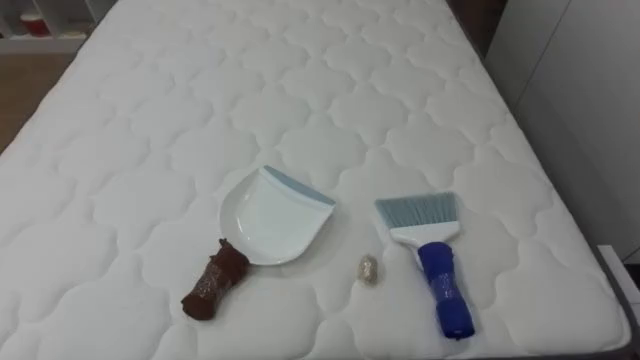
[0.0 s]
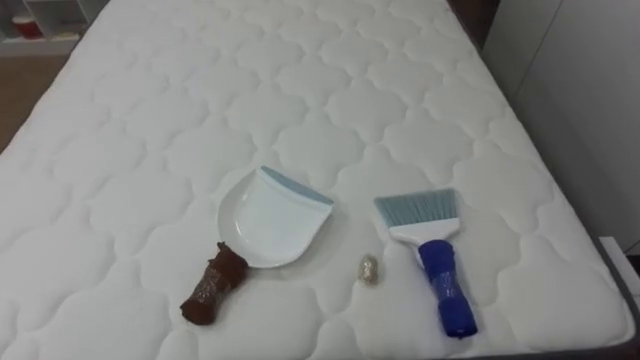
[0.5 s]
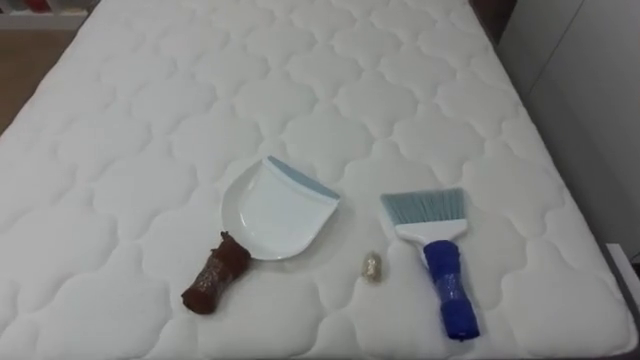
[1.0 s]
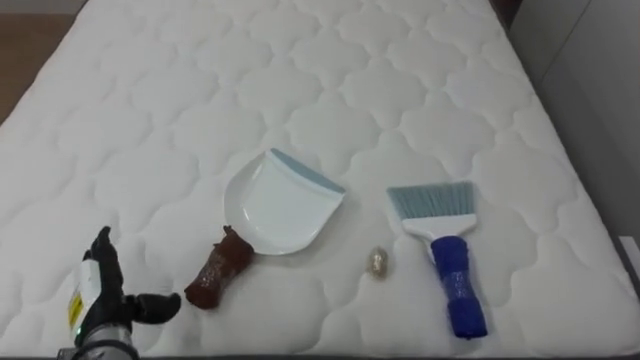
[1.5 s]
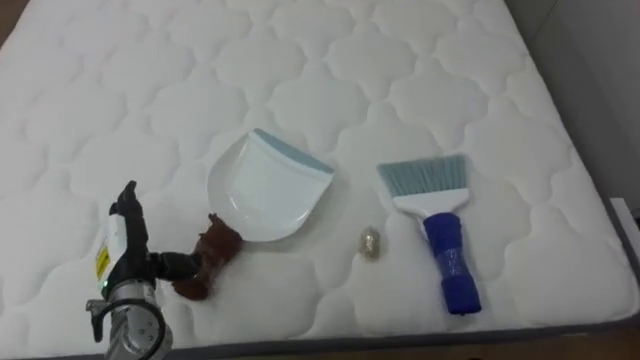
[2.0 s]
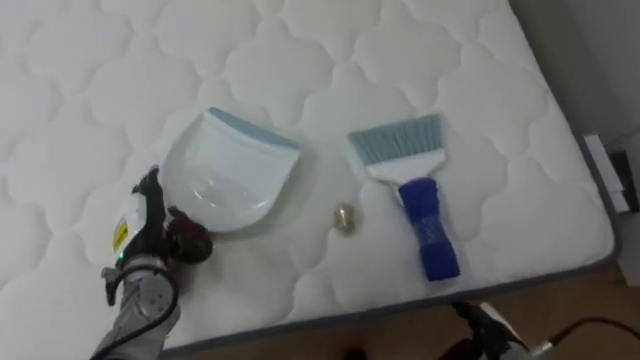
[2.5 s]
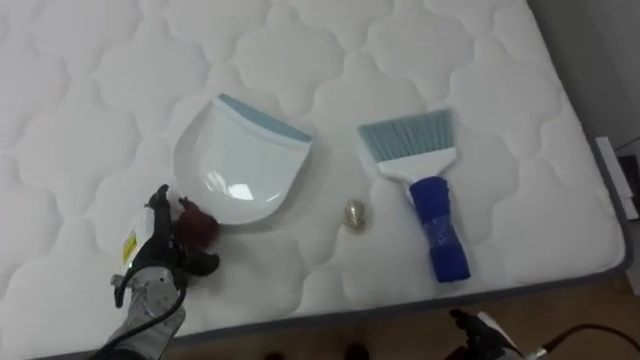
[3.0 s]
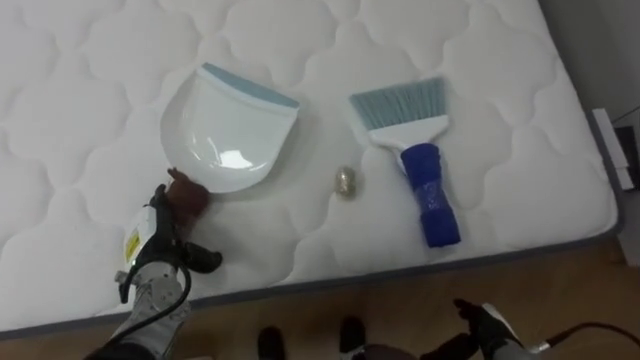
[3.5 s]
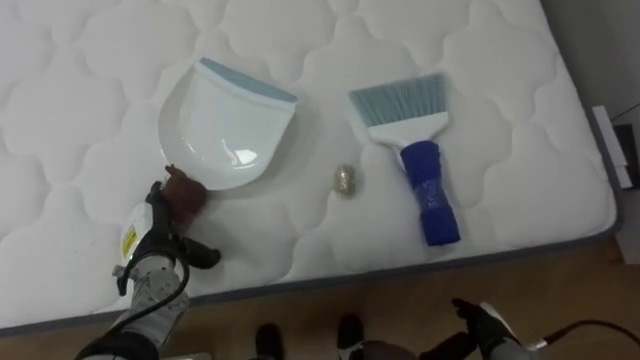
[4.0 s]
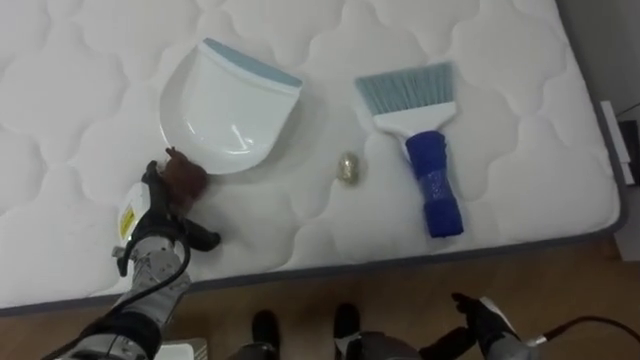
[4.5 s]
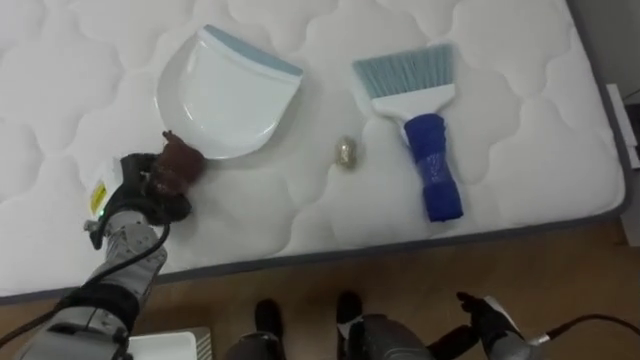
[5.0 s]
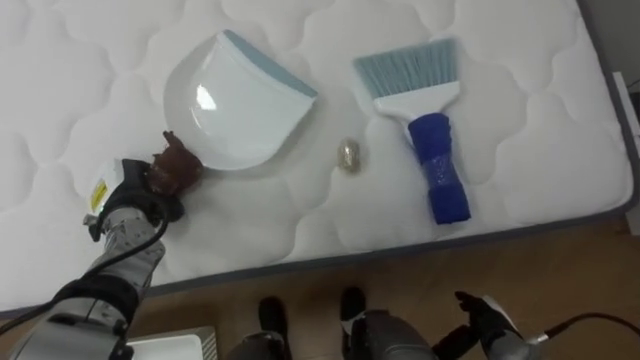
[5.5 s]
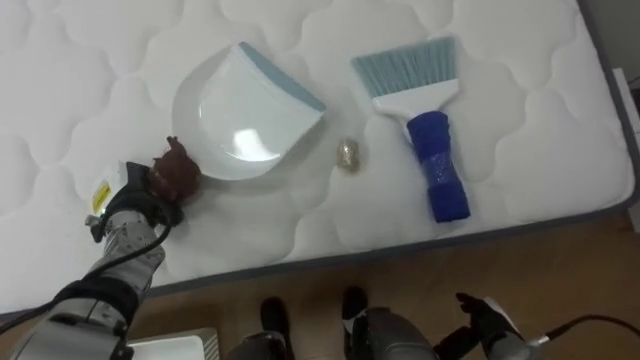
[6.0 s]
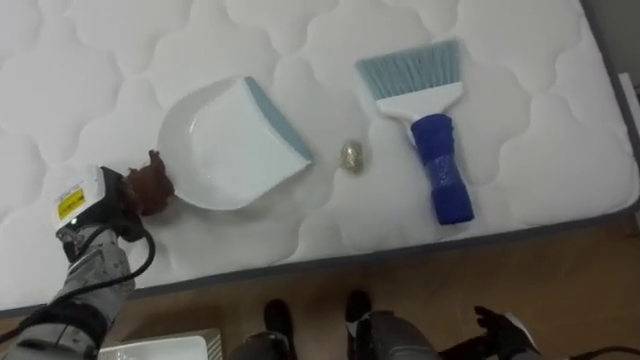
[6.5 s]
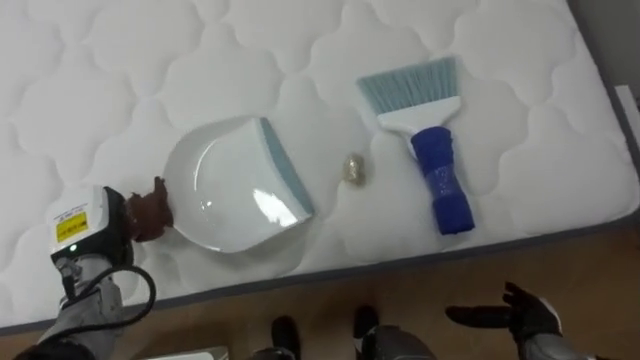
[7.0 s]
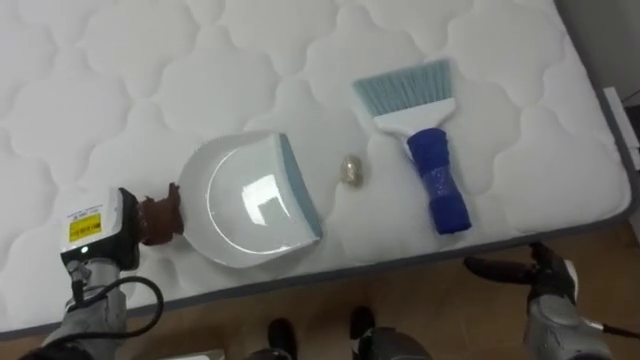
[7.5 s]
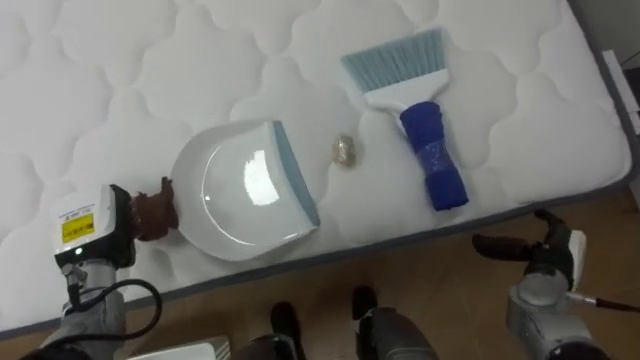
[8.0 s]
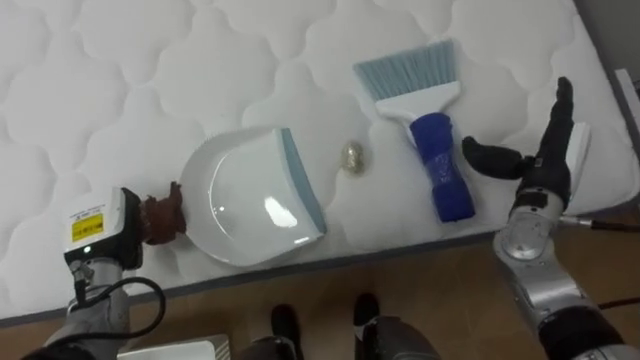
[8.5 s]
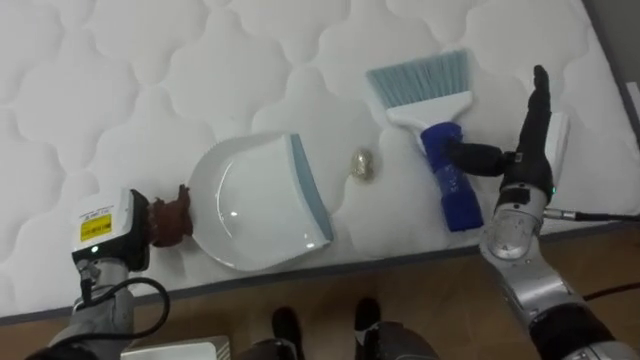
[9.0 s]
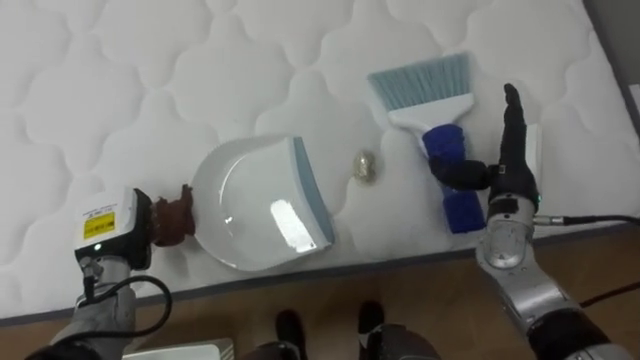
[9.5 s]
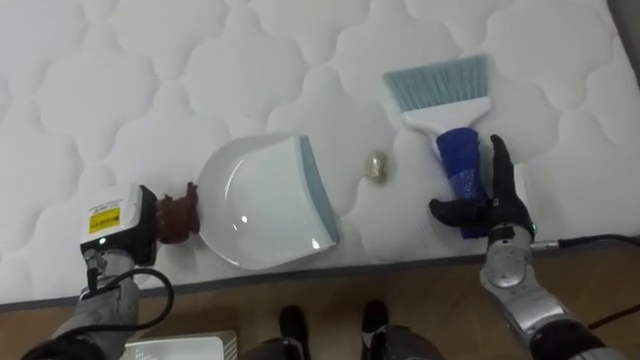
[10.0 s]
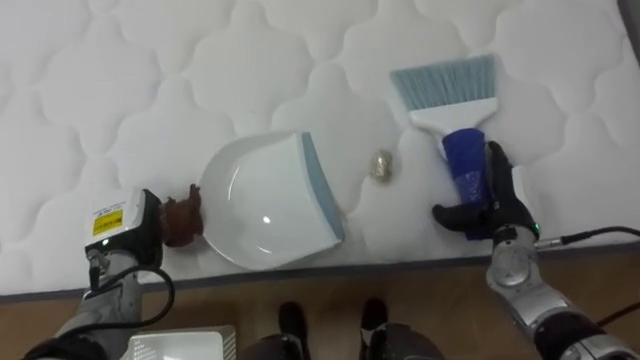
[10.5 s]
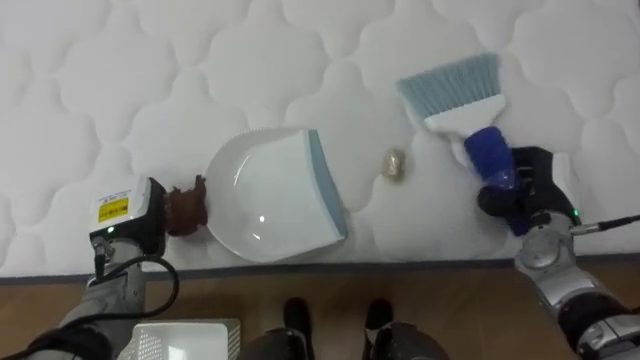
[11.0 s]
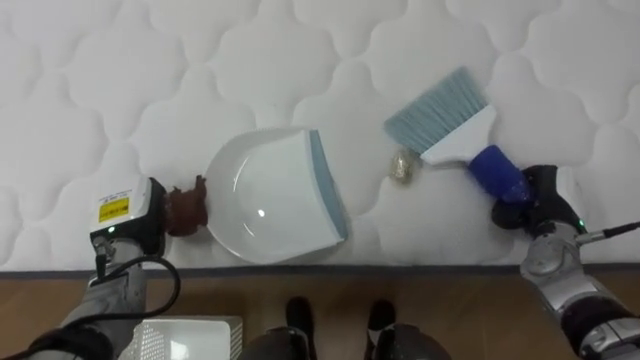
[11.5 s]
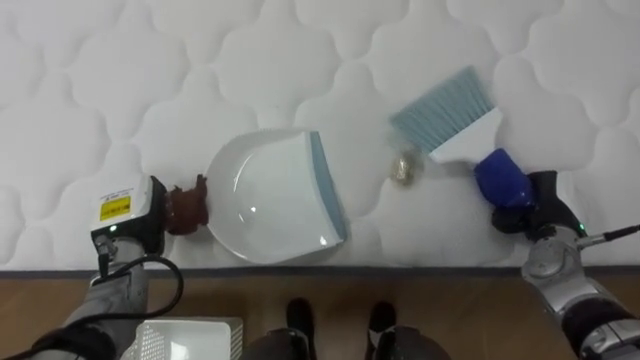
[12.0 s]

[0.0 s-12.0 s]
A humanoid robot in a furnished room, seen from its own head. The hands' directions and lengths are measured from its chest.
Task of the whole recording: Pick up the brush on your right and the dustpan on your left. Use the brush to sweep the crumpled paper on the bed into the dustpan, then turn left and empty it into the basket.
2.0 to 4.0 s: The left hand changes place by approximately 5 cm.
4.0 to 6.0 s: The left hand ends up roughly 5 cm from where it was, and closes up.
6.0 to 8.0 s: The right hand goes approximately 15 cm upward, forward and to the right; the left hand moves backward, roughly 5 cm.
8.0 to 10.0 s: The right hand is displaced to the left, forward and upward by approximately 10 cm.
10.0 to 12.0 s: The right hand is displaced to the right by some 5 cm, and closes up.

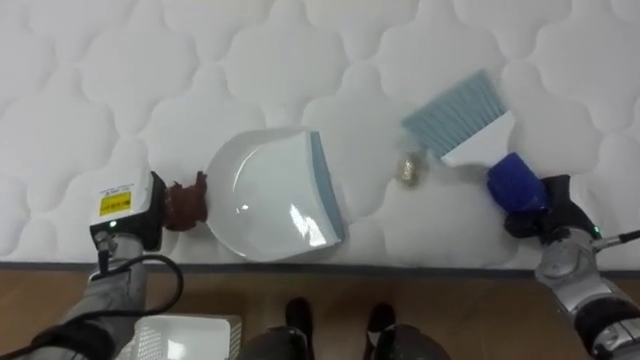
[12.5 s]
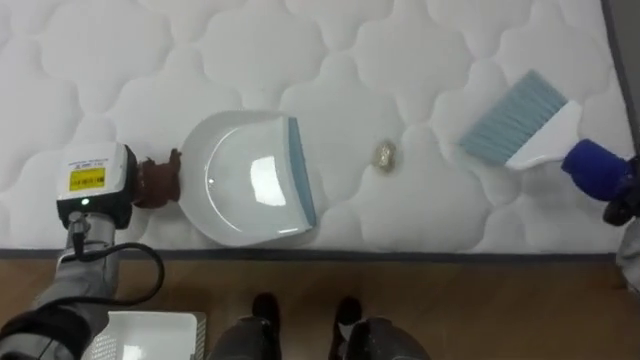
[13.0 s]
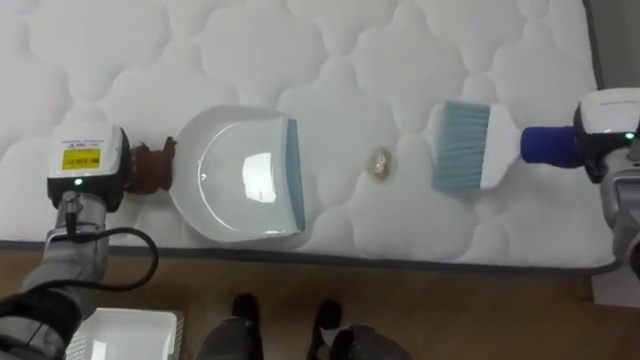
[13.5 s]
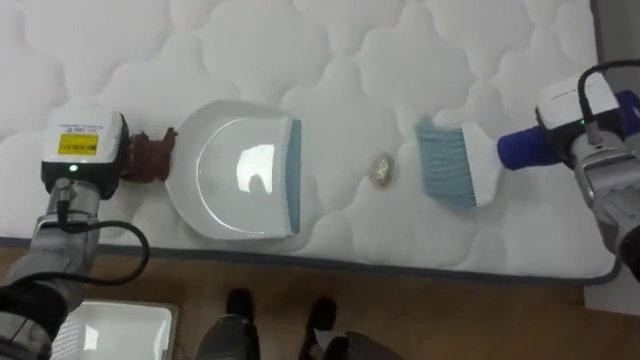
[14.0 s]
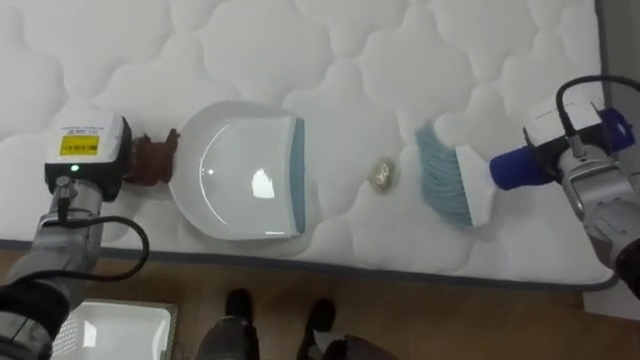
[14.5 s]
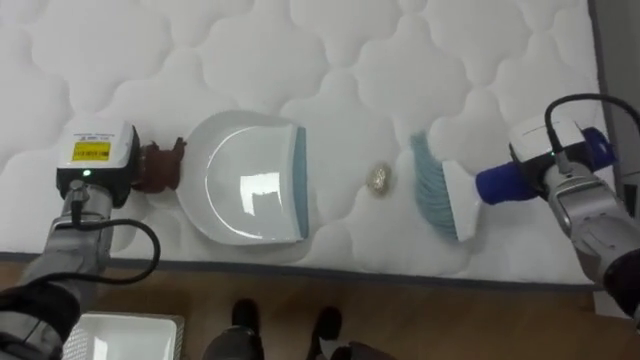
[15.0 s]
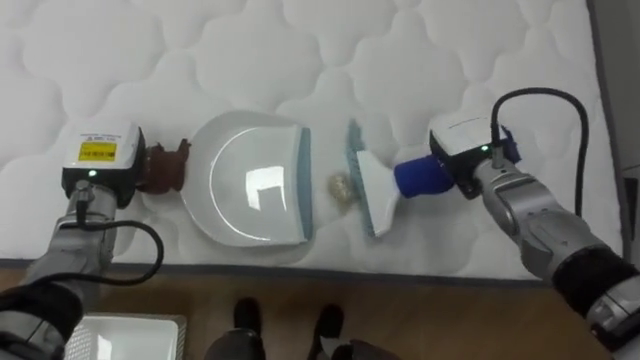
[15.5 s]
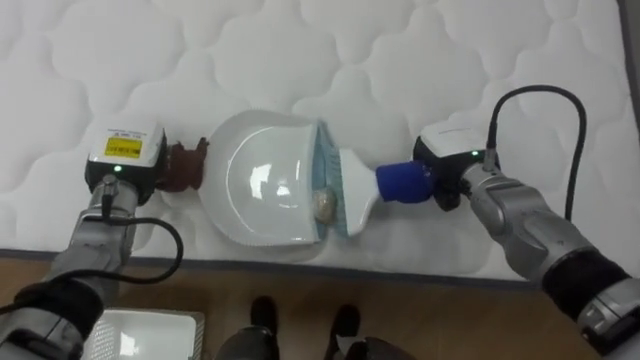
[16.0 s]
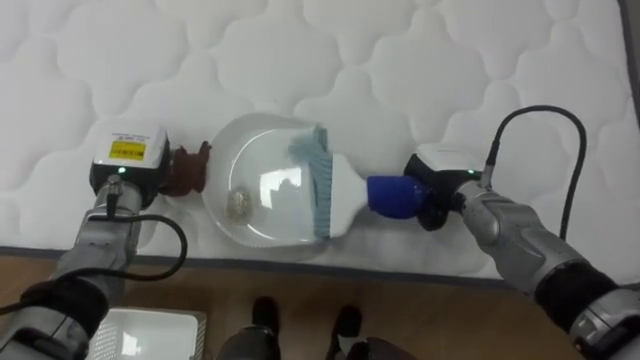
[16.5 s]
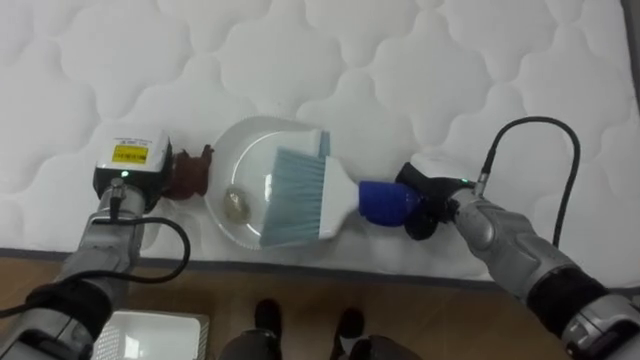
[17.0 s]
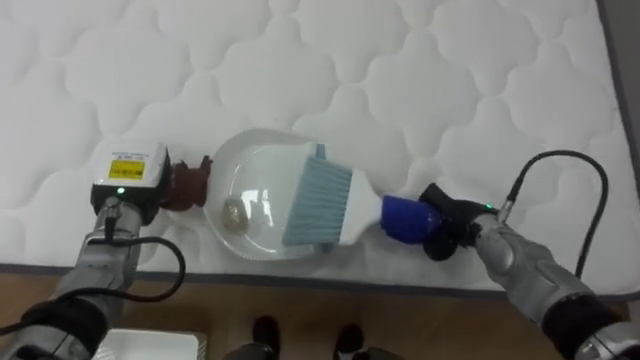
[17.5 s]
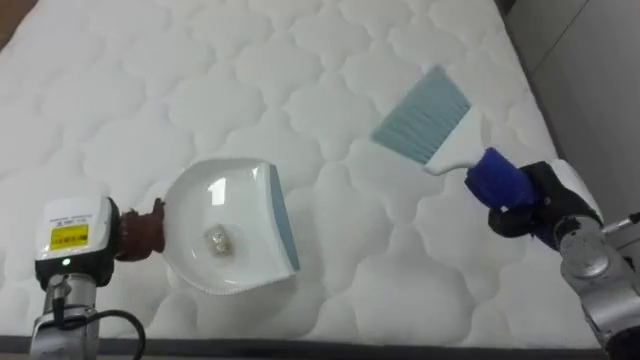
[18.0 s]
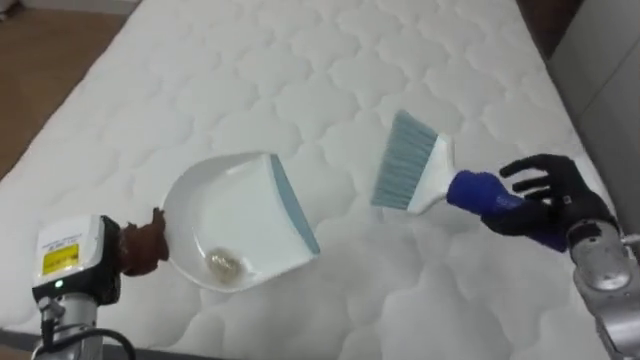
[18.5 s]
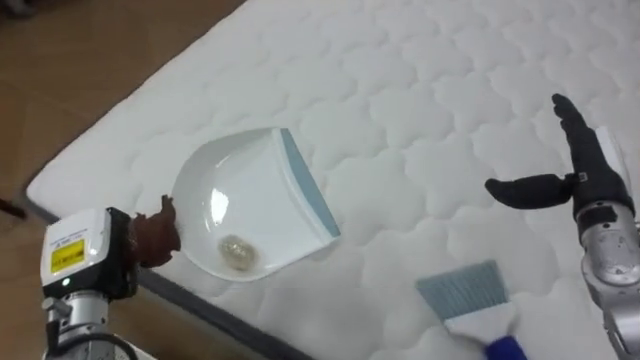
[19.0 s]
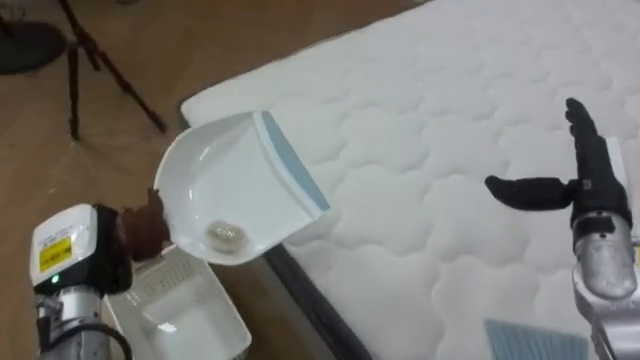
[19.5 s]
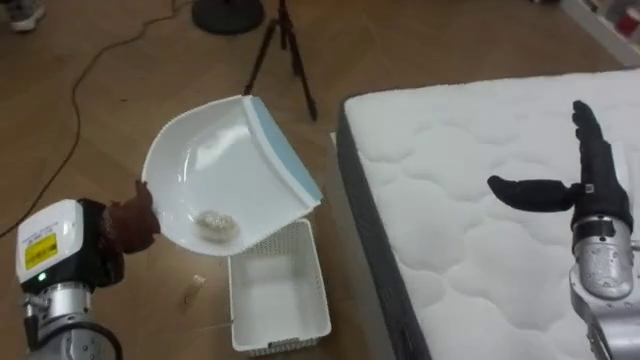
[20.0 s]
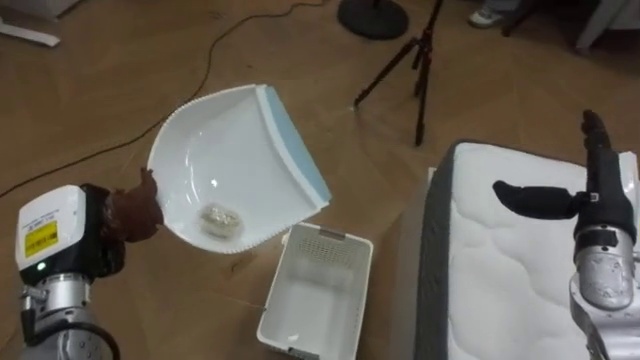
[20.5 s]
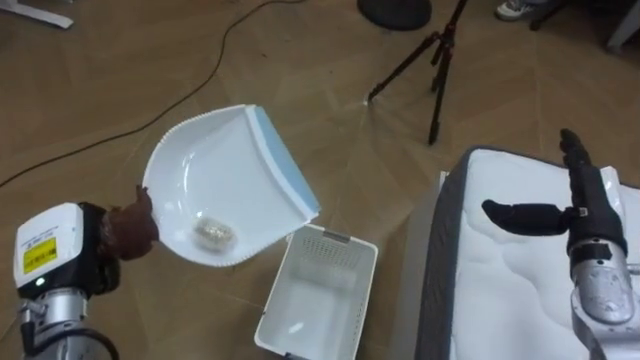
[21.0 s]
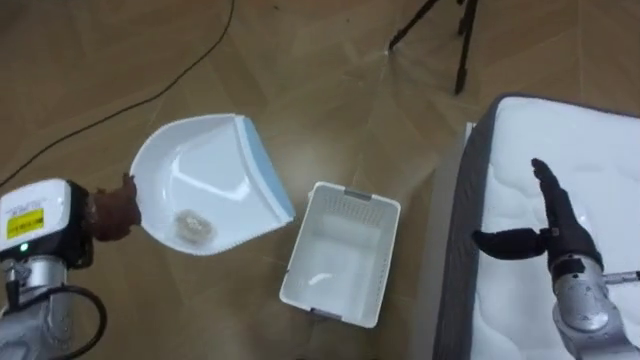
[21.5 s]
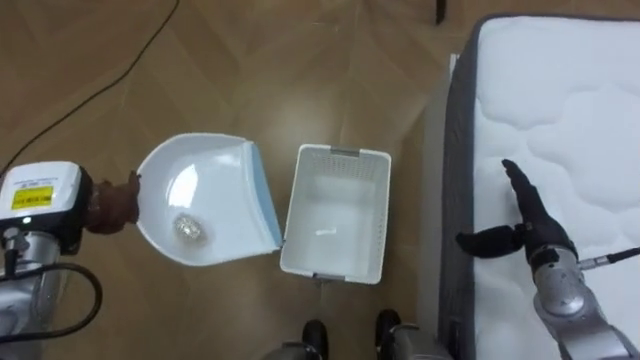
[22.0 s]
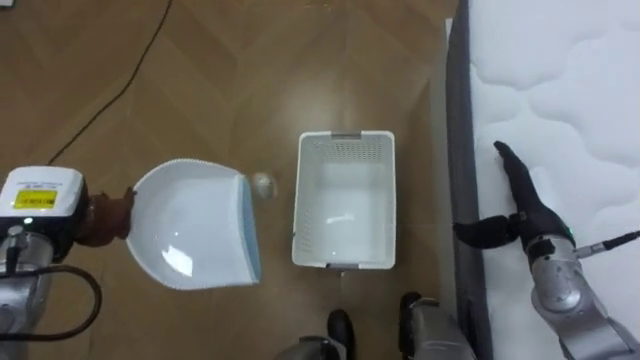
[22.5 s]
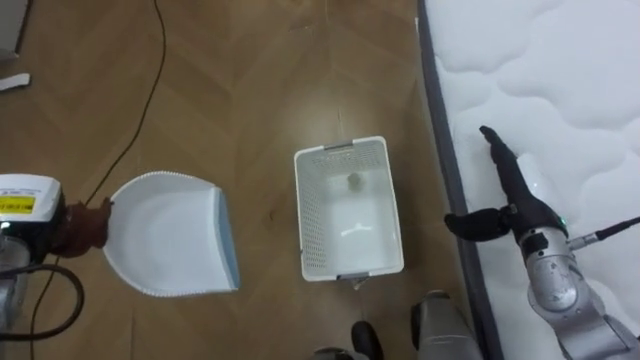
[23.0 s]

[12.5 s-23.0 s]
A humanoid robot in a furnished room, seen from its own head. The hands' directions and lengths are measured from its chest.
Task of the whole recording: Pick up the brush on your right and the dustpan on your left. Use the brush to sweep the crumpled paper on the bed into the dustpan, then turn left and empty it into the basket.
12.5 to 14.5 s: The left hand moves upward, roughly 10 cm.
14.5 to 16.5 s: The left hand ends up roughly 5 cm from where it was; the right hand goes roughly 15 cm to the left.
16.5 to 19.0 s: The robot turns to its left by about 25 degrees. The left hand is displaced backward by roughly 15 cm. Meanwhile the right hand goes approximately 15 cm to the right and upward, and opens.
19.0 to 21.0 s: The robot turns to its left by about 80 degrees.
21.0 to 23.0 s: The left hand heads to the left and forward, covering approximately 10 cm; the right hand travels to the left by approximately 5 cm.
